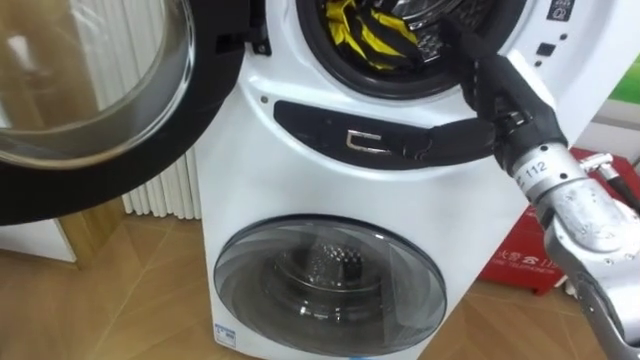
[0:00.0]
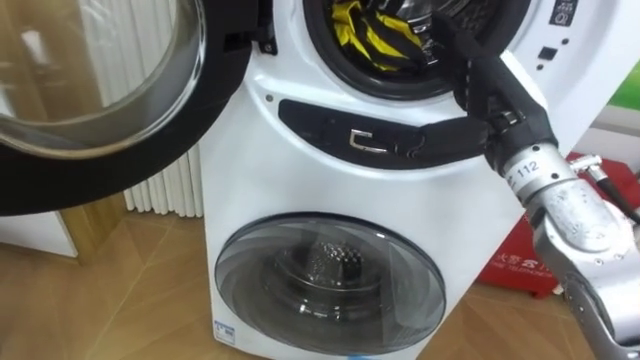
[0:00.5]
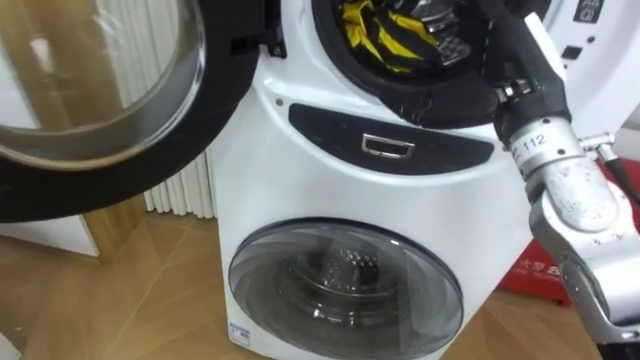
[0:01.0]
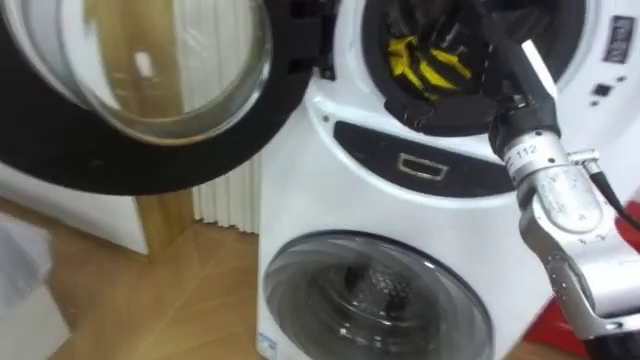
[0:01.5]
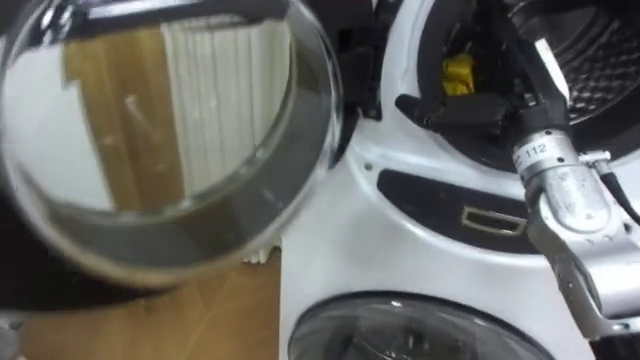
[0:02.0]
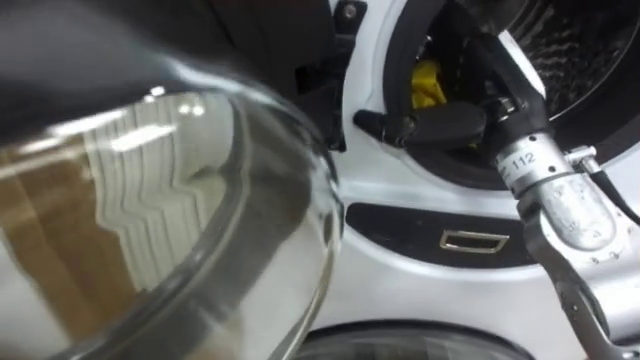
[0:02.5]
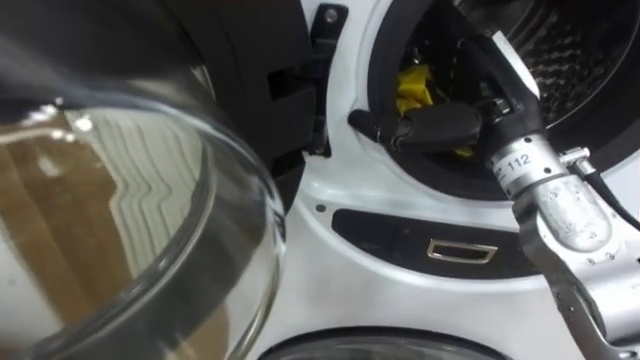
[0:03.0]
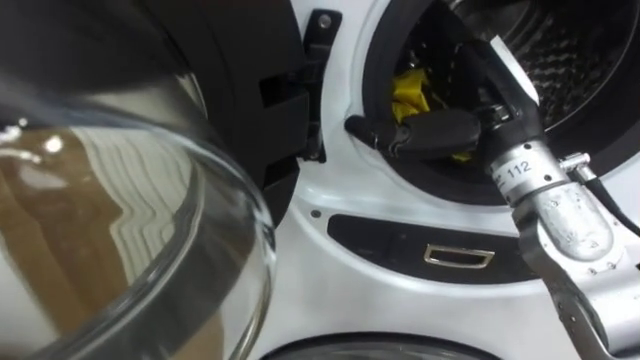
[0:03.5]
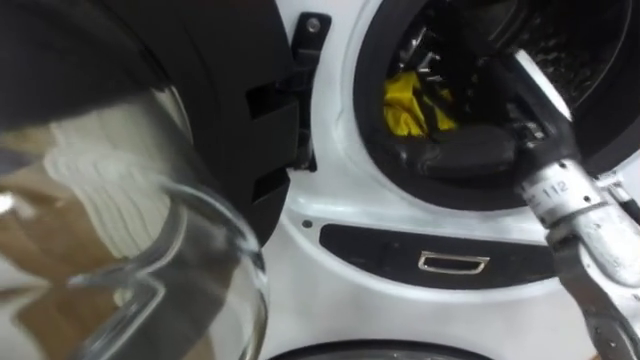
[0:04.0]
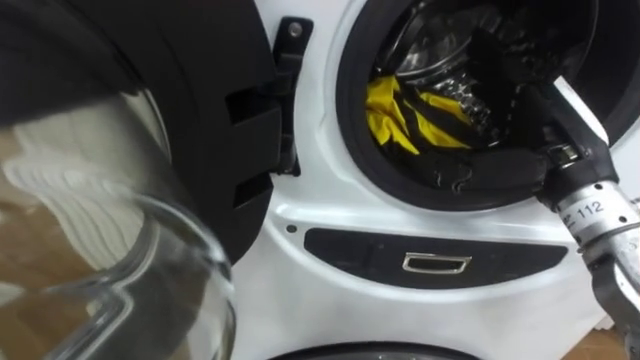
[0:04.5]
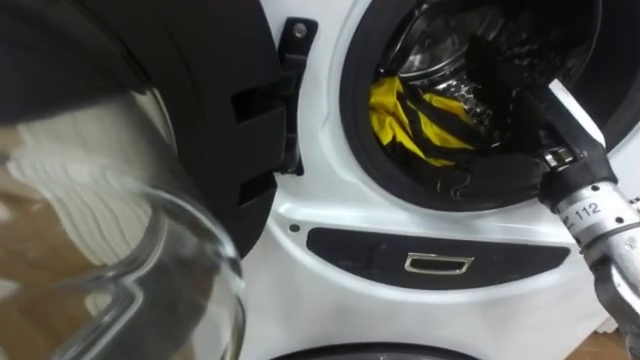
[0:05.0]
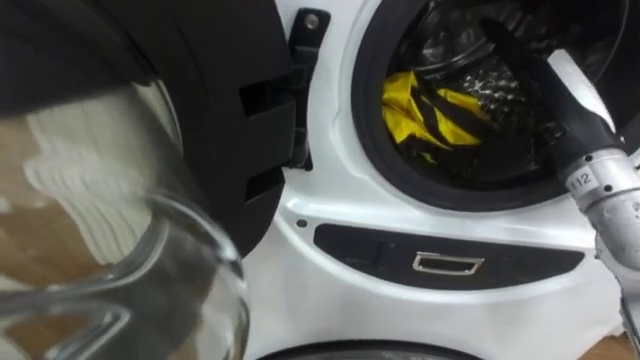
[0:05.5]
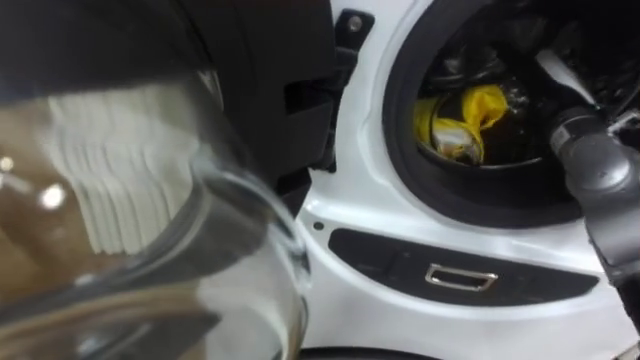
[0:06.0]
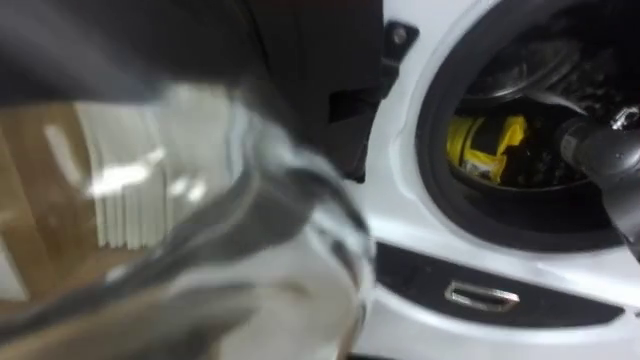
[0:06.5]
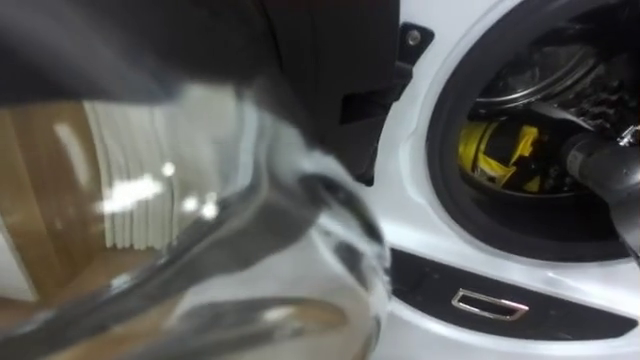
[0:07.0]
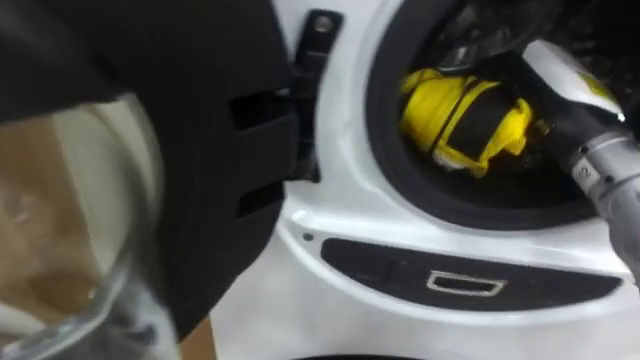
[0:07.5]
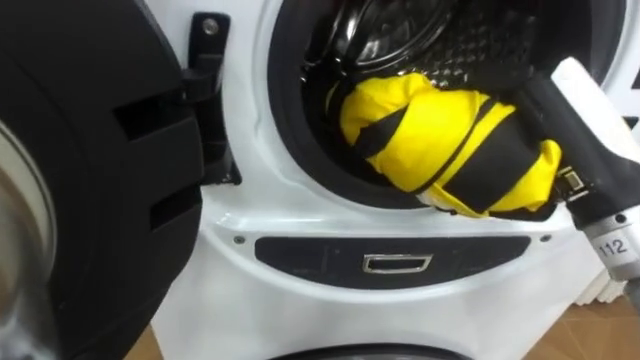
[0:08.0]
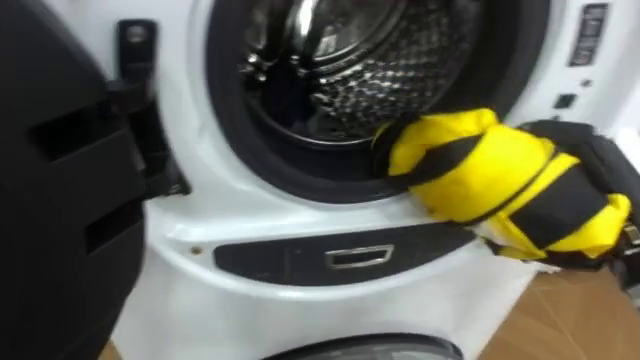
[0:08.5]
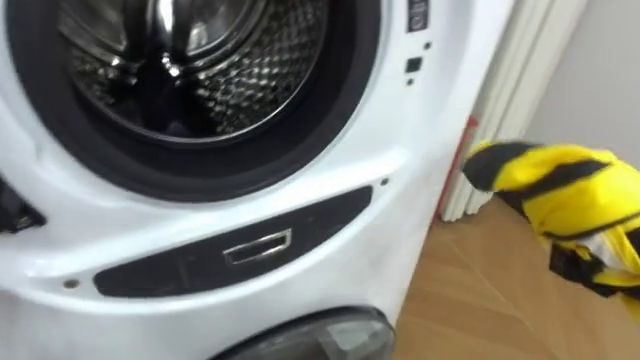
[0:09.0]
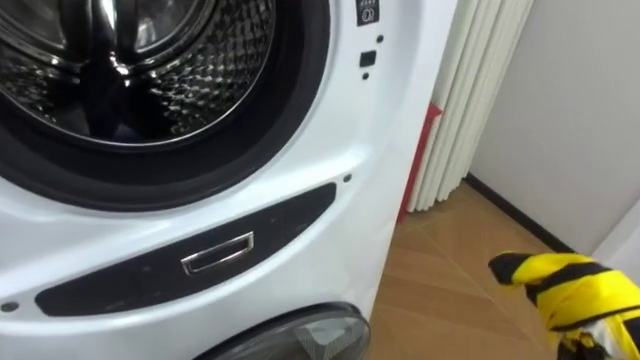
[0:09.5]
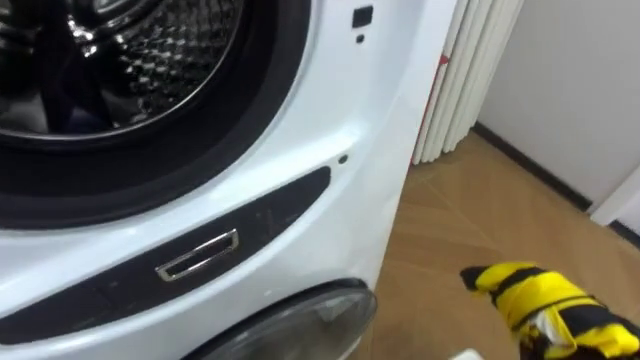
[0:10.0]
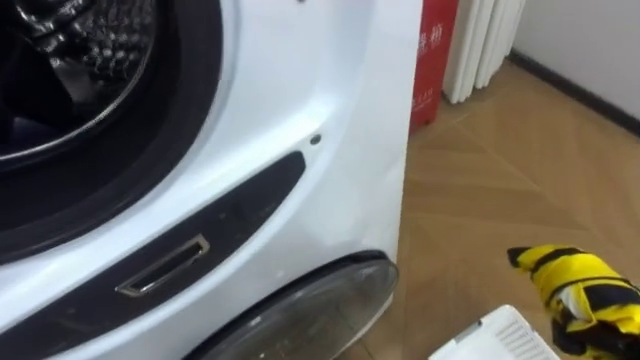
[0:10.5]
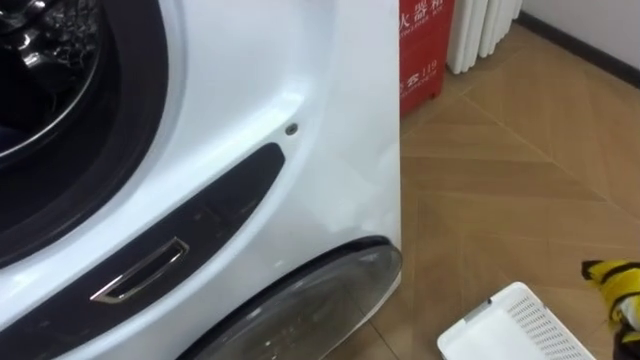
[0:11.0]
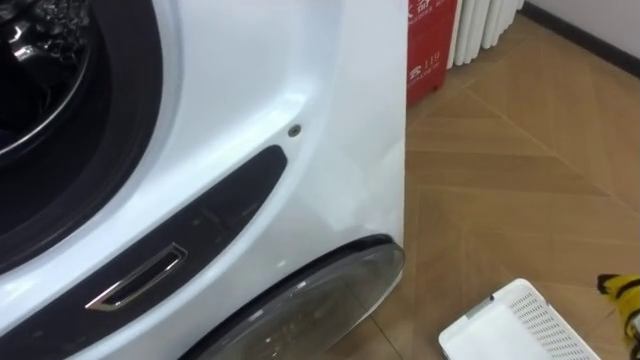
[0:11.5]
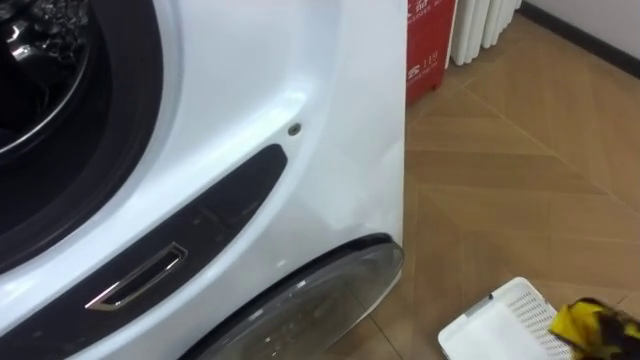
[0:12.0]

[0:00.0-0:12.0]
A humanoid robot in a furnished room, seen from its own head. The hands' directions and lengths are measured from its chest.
Task of the whole recording: Open the washing machine door, take out the yellow clothes, place them in the box on the right, and close the washing machine door.
0:02.0 to 0:04.0: The right hand shifts by about 5 cm.
0:04.0 to 0:06.0: The right hand is displaced forward and to the right by some 10 cm.
0:06.0 to 0:08.0: The right hand moves backward, approximately 15 cm, and closes.

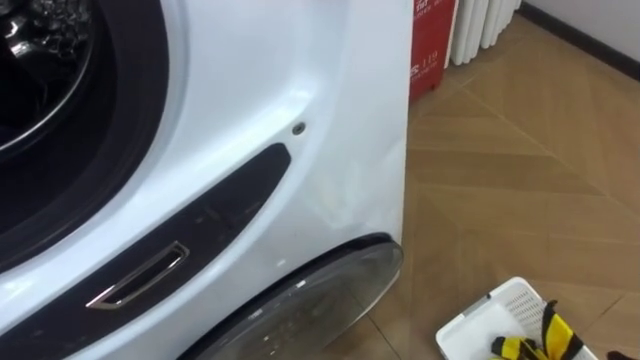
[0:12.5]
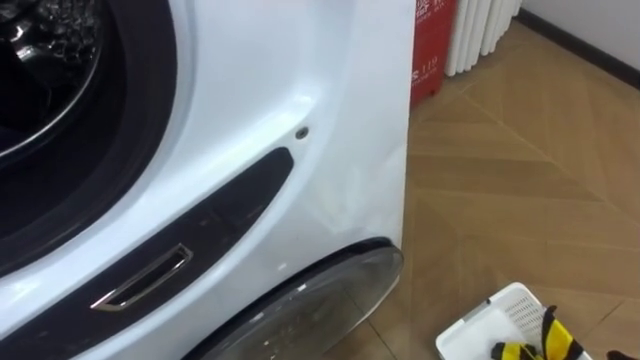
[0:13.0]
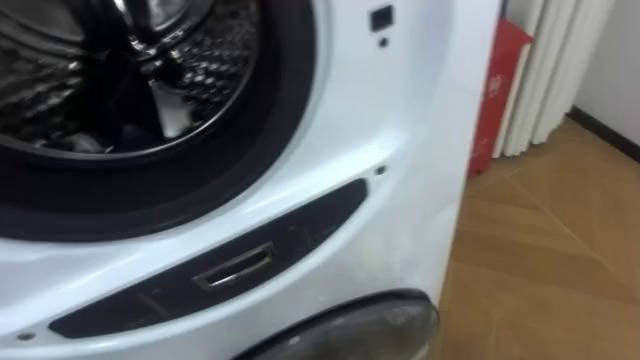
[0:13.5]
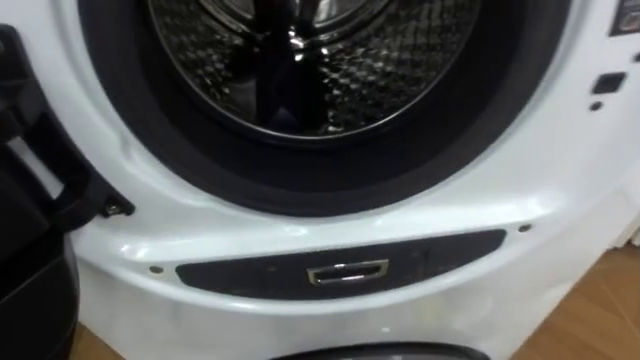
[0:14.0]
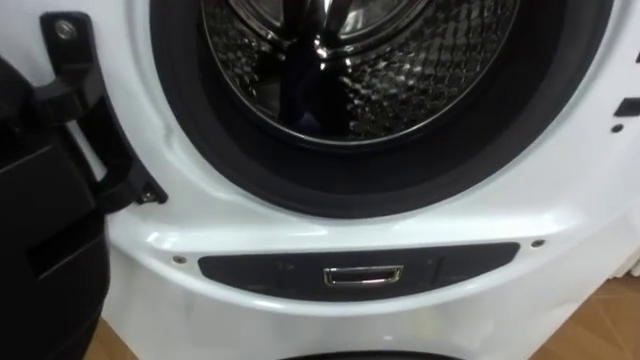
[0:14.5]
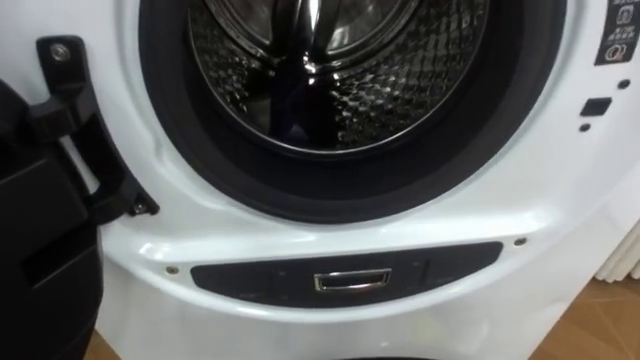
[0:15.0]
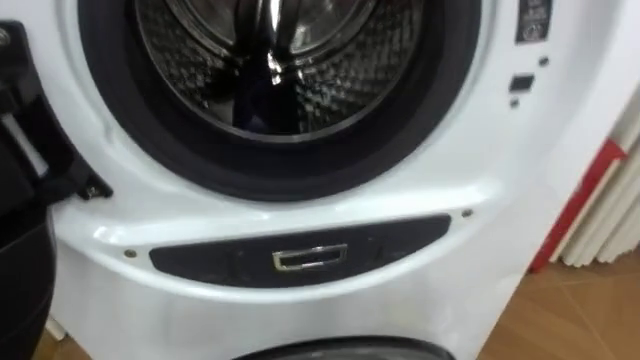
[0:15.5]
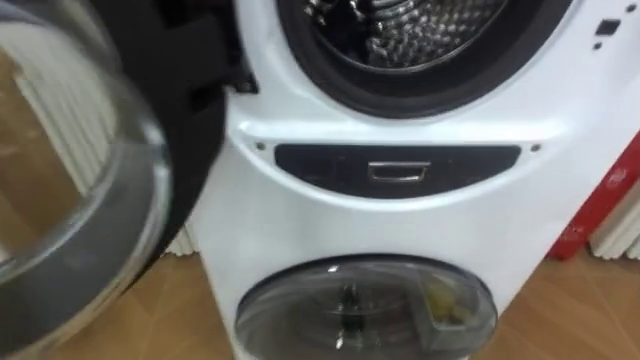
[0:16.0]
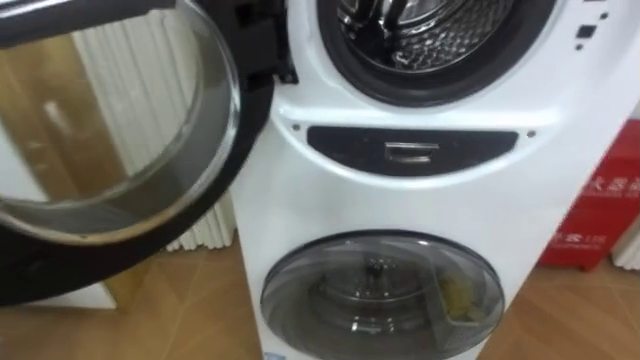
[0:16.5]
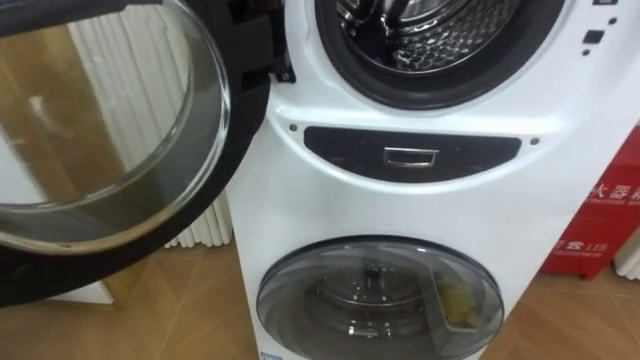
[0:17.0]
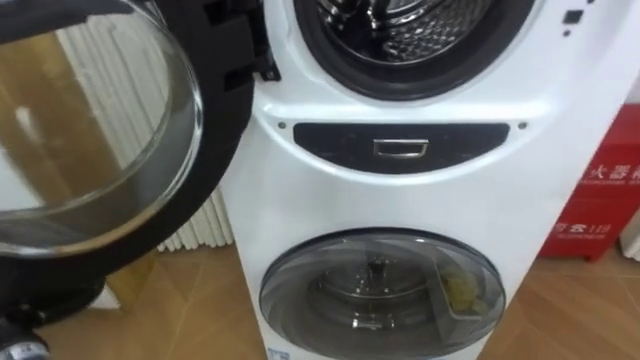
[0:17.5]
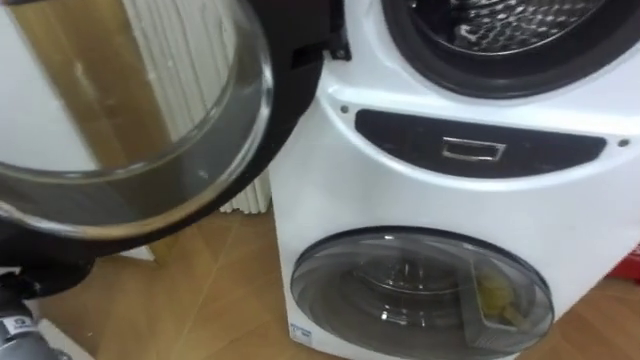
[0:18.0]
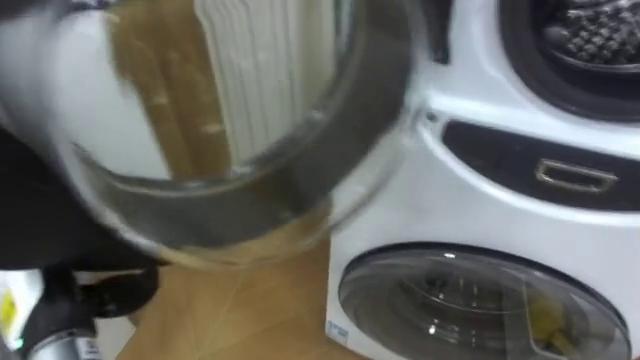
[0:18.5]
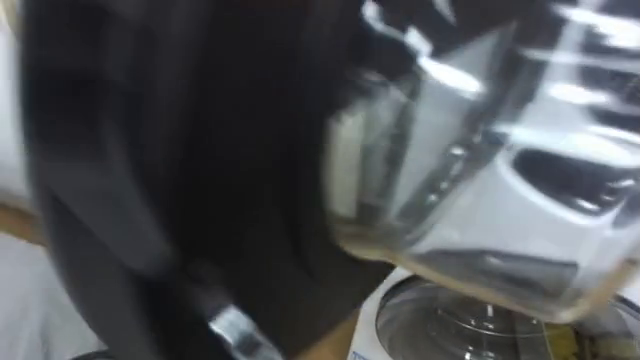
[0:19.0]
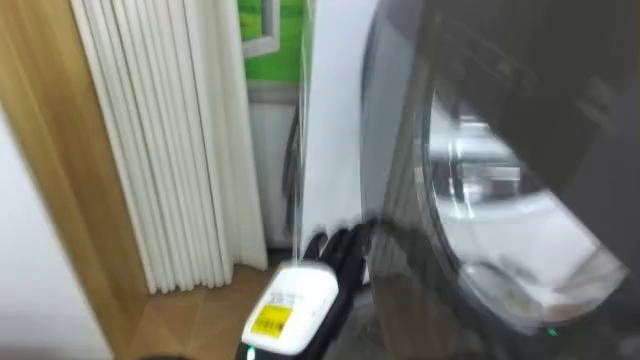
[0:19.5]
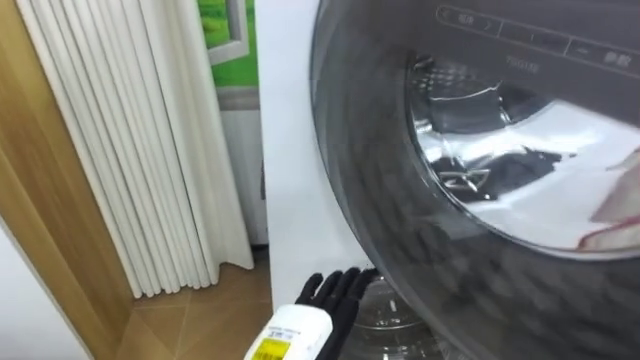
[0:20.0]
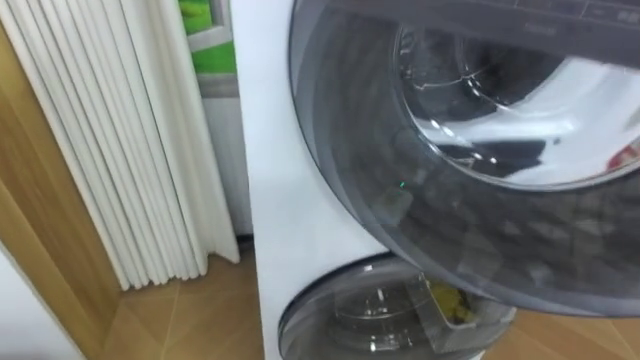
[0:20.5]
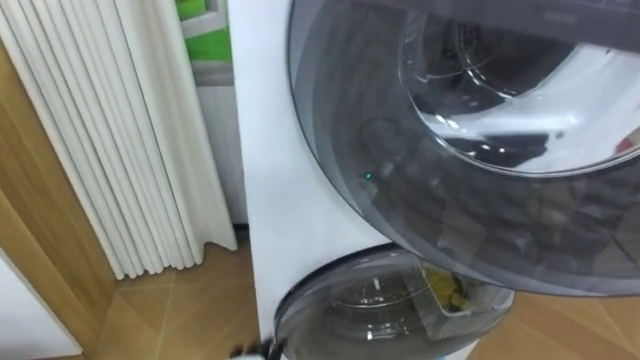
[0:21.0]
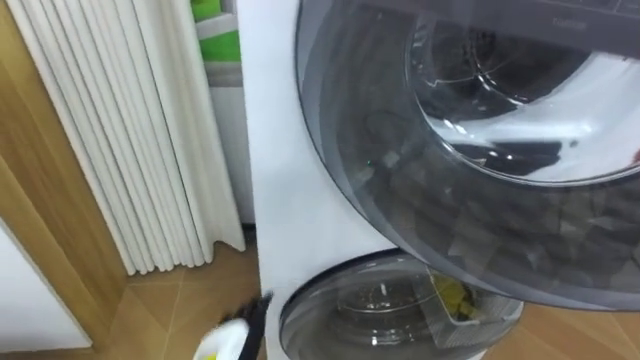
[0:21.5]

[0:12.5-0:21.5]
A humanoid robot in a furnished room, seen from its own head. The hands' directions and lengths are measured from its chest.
Task of the whole recording: Open the washing machine door, take out the yellow clothes, place them in the box on the right, and close the washing machine door.
0:12.5 to 0:14.5: The robot turns to its left by roughly 20 degrees.
